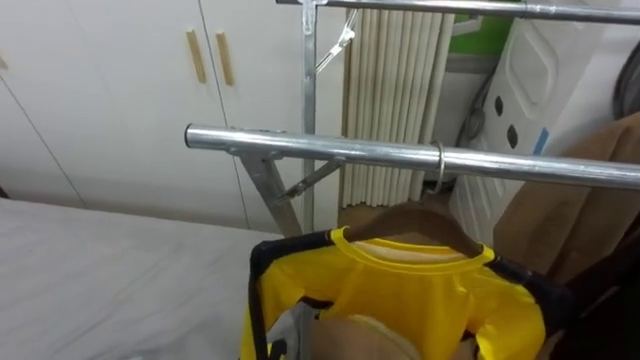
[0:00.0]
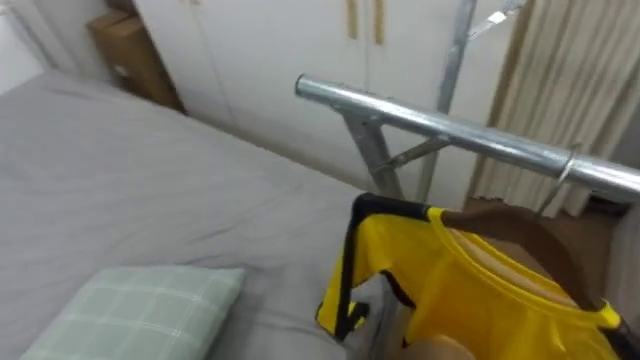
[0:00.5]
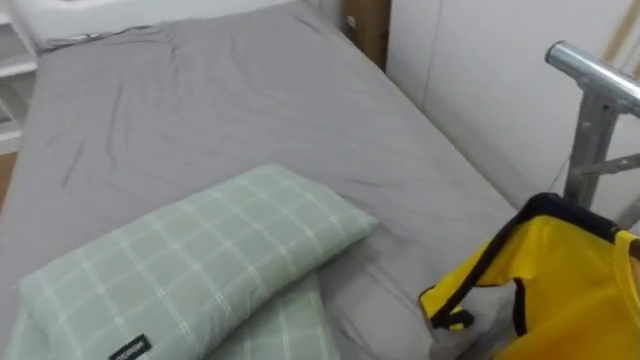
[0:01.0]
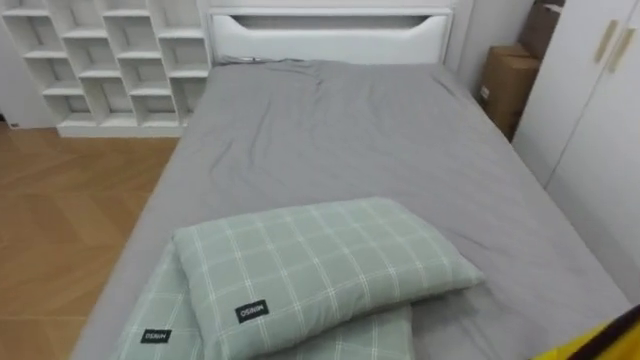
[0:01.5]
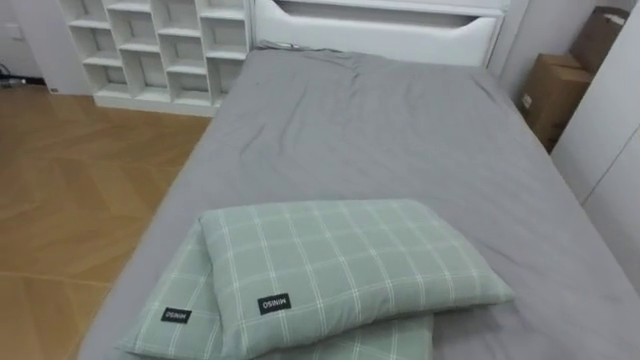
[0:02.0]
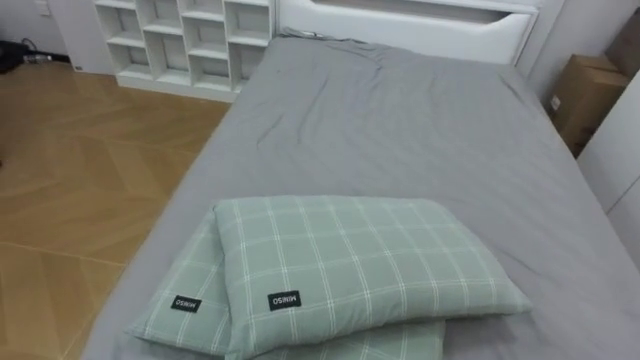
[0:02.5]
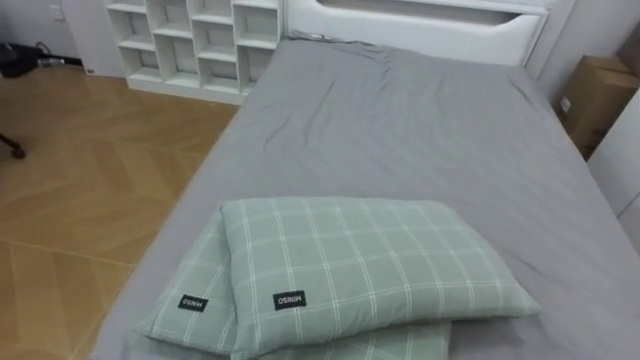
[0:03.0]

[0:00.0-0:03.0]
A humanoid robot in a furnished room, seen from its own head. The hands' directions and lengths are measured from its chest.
Task of the whole recording: Pick up the yellow shirt on the bed and hang it on the clothes rack on the right.
0:00.0 to 0:01.5: The robot's body swings about 80 degrees to its left.

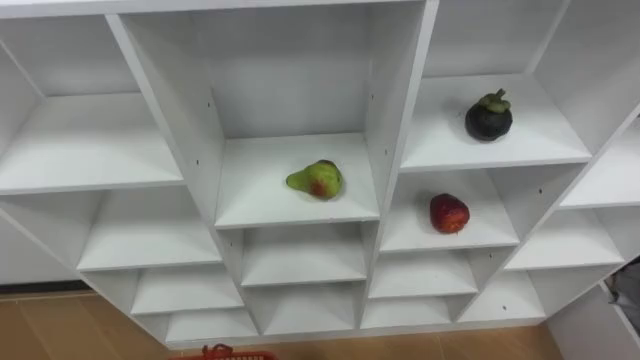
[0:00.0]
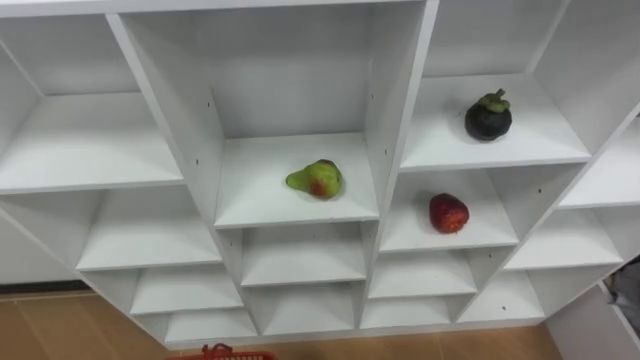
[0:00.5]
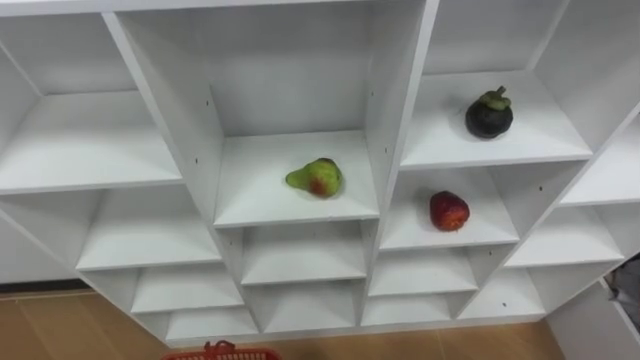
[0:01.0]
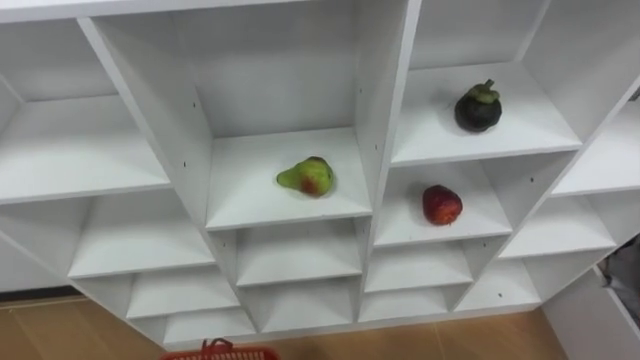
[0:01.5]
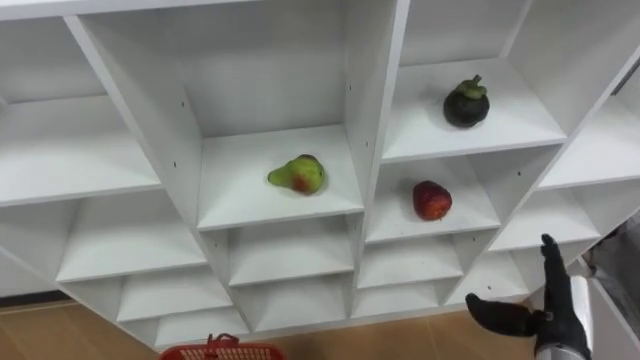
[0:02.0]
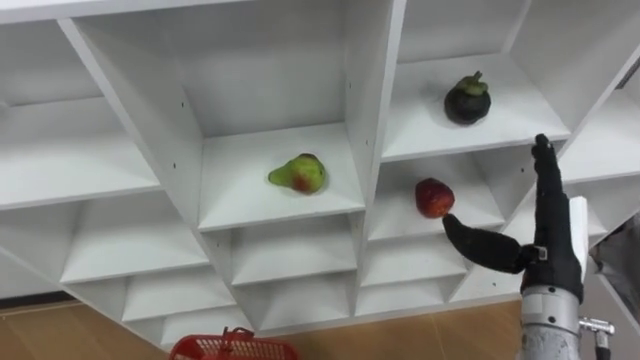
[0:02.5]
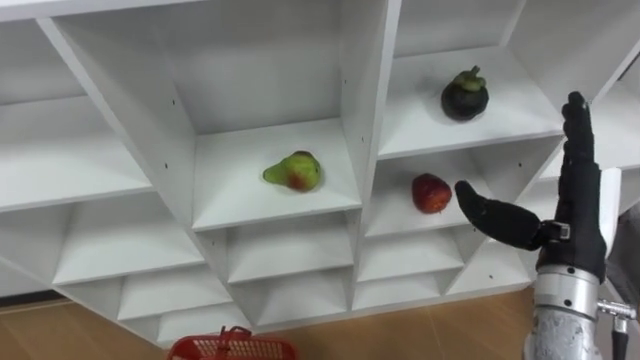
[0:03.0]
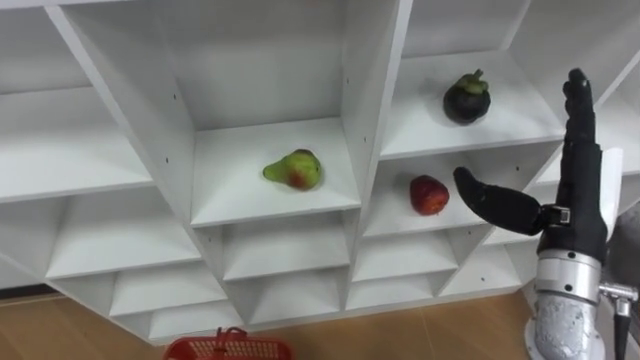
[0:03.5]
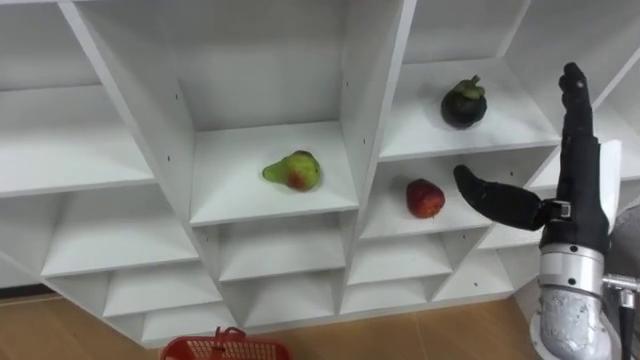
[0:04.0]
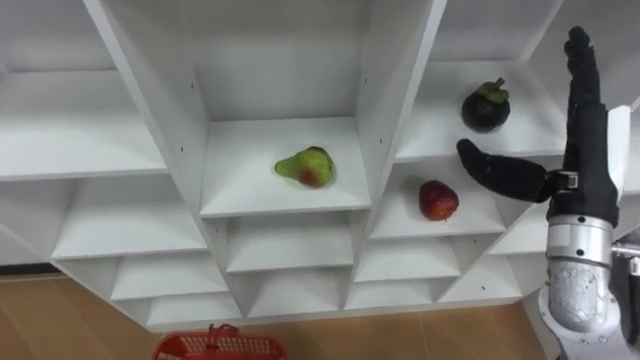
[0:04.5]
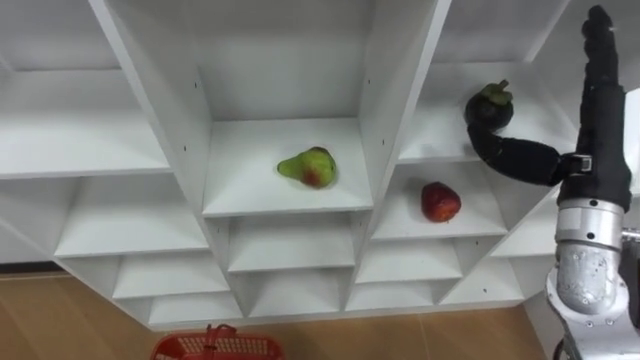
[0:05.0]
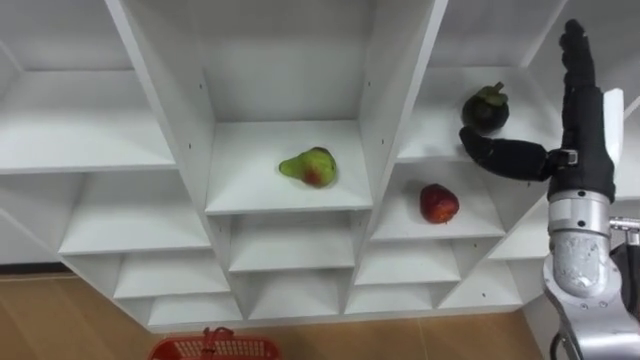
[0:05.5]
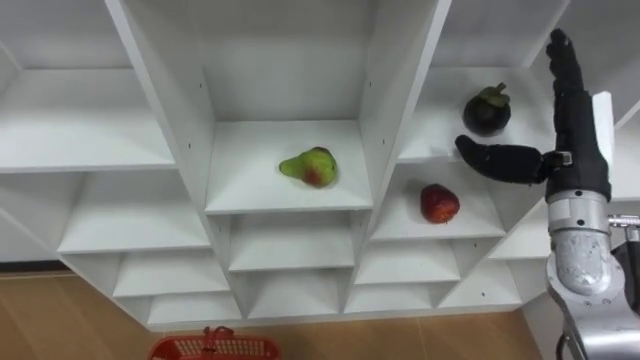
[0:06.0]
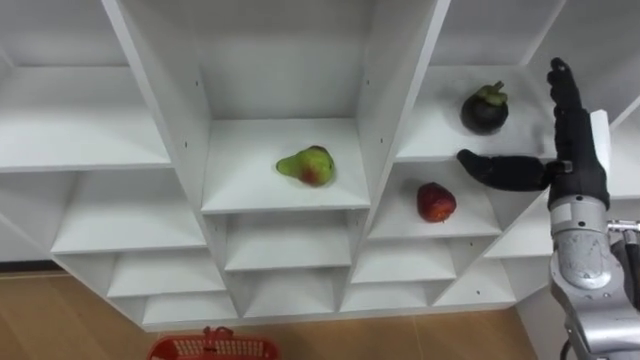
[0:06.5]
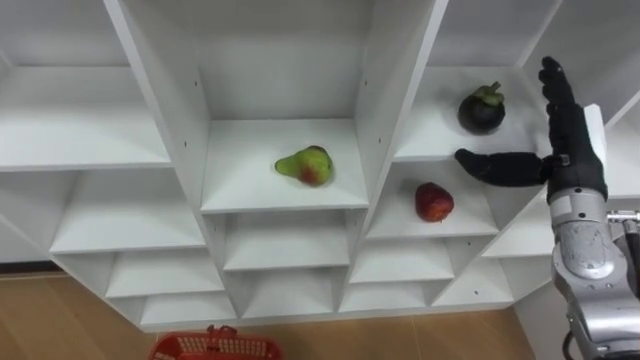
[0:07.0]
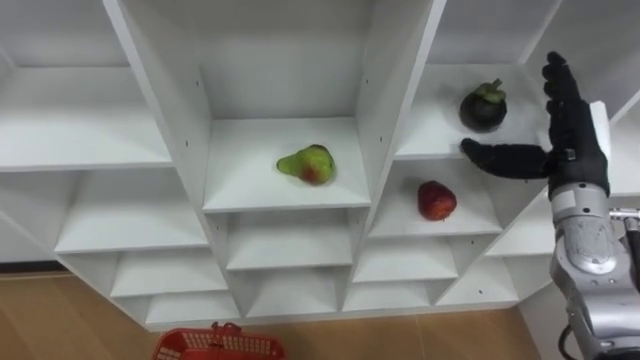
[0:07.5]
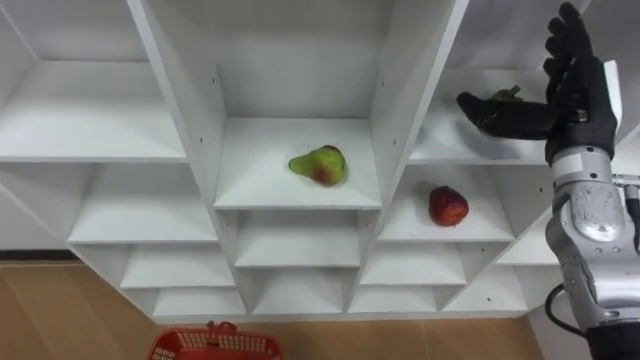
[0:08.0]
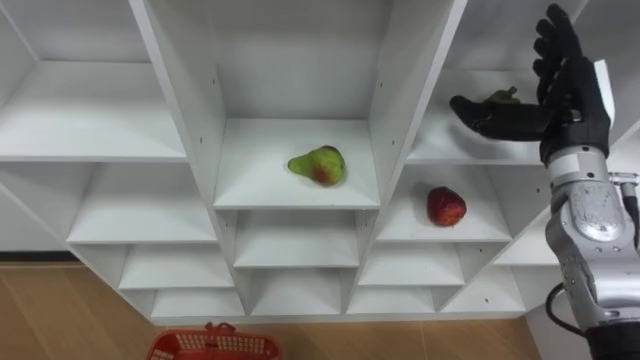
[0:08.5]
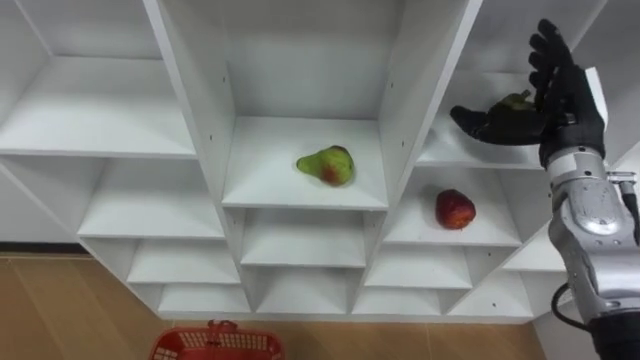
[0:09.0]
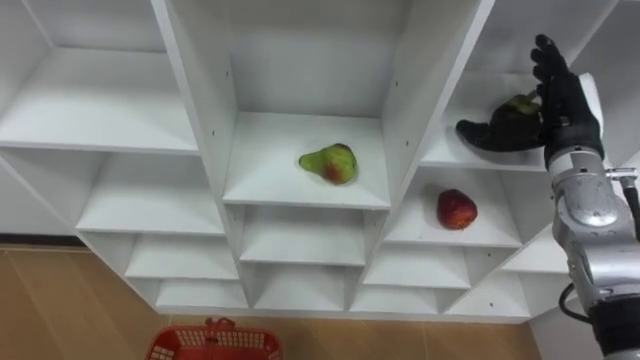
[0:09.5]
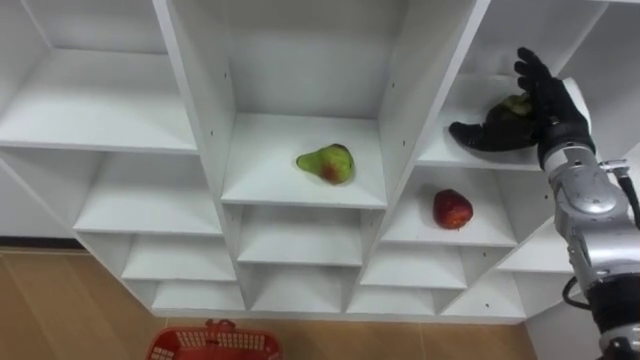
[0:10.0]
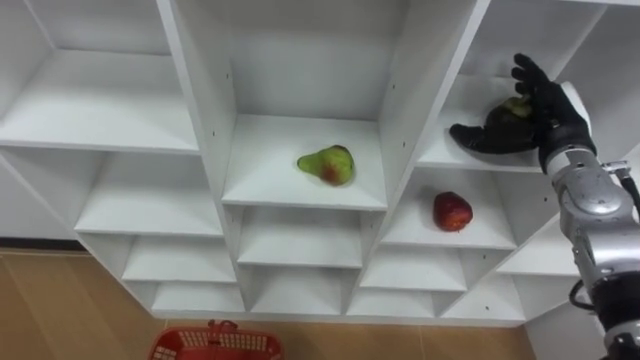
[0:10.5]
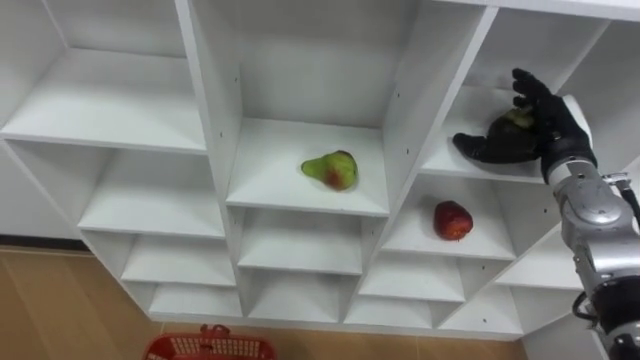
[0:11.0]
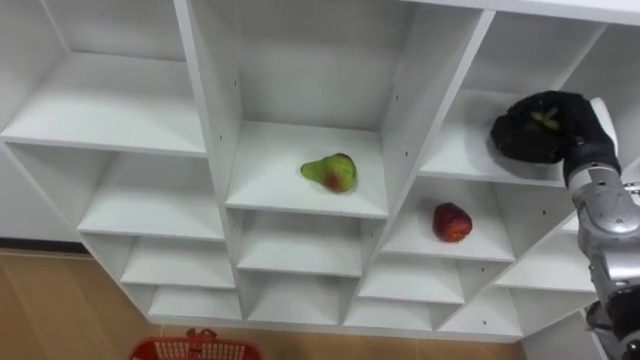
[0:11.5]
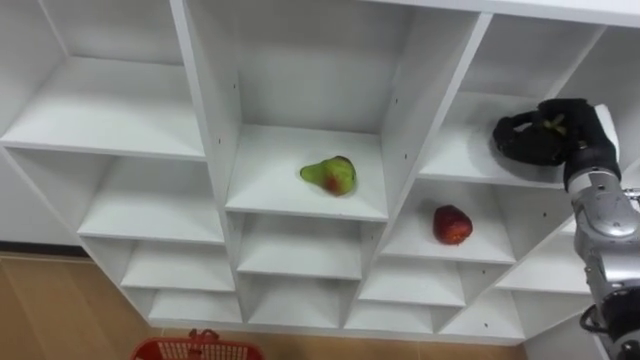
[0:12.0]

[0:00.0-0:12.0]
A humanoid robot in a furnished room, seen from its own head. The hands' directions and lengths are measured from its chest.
Task of the whole recording: Hold the basket and collect the fruits from 3 different cells of the closet into it.
0:02.0 to 0:04.0: The right hand shifts about 20 cm upward and forward.
0:04.0 to 0:06.0: The right hand shifts some 5 cm forward.
0:08.0 to 0:10.0: The right hand changes place by some 5 cm.
0:10.0 to 0:12.0: The right hand changes place by approximately 5 cm, and closes its fingers.

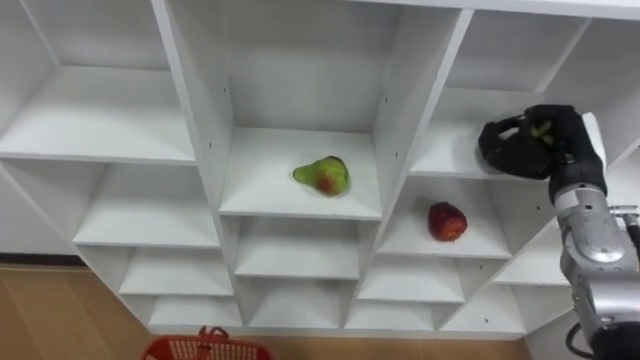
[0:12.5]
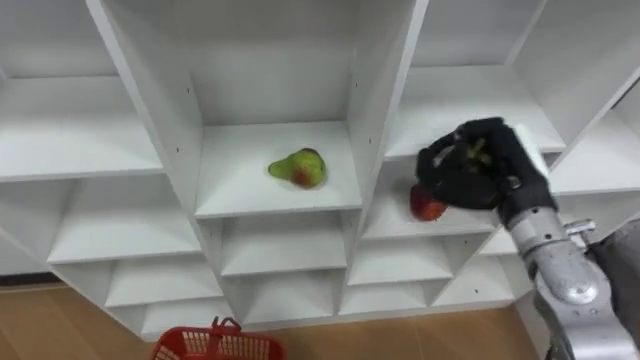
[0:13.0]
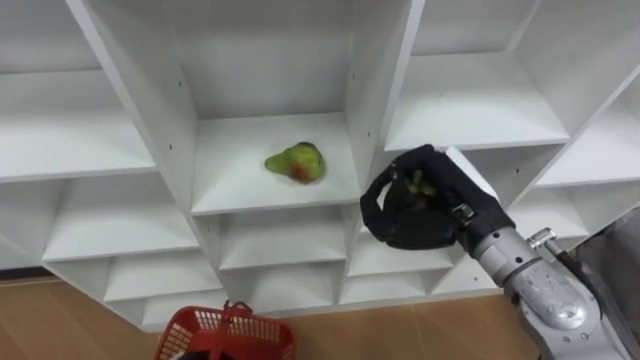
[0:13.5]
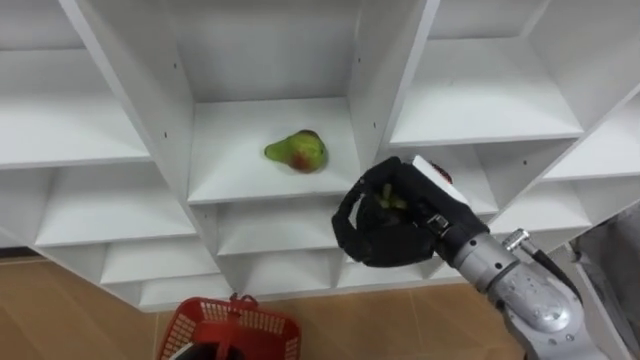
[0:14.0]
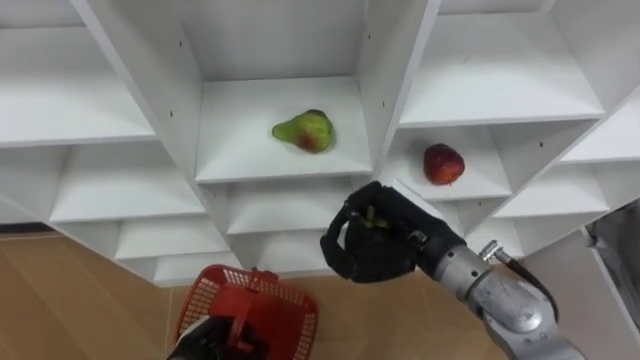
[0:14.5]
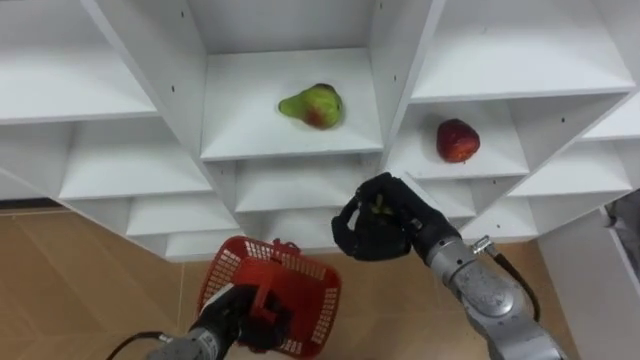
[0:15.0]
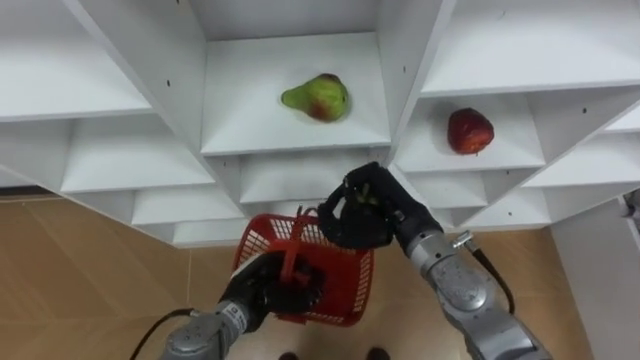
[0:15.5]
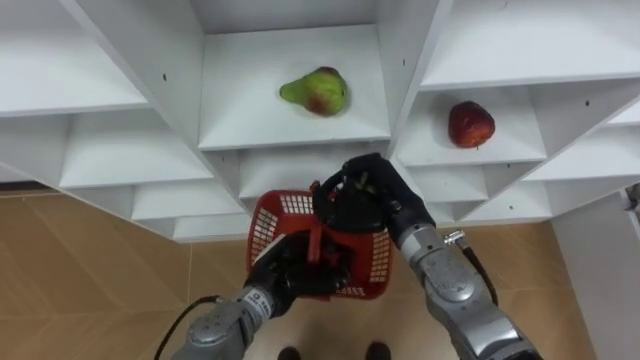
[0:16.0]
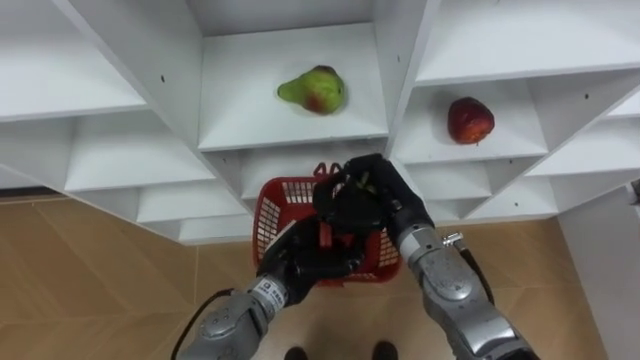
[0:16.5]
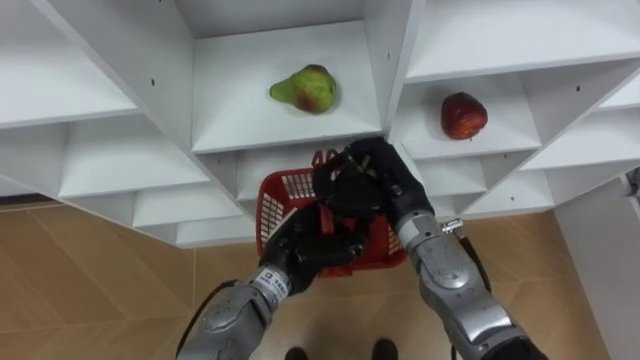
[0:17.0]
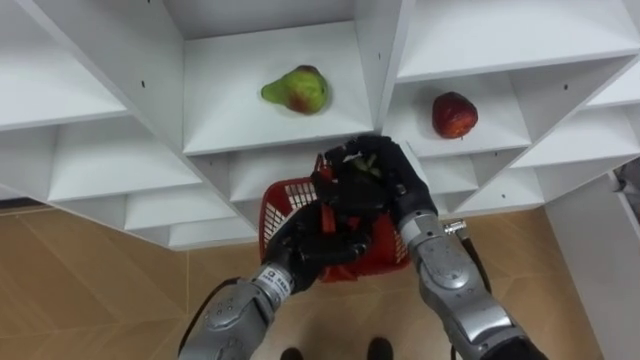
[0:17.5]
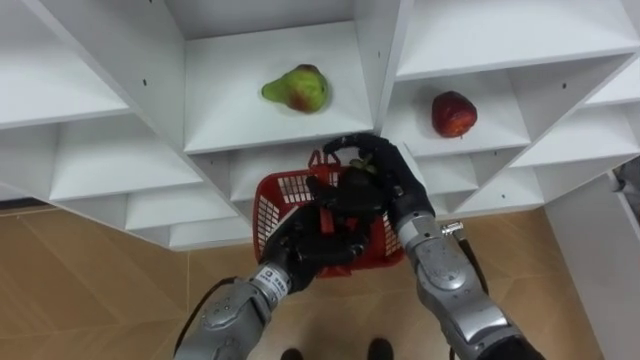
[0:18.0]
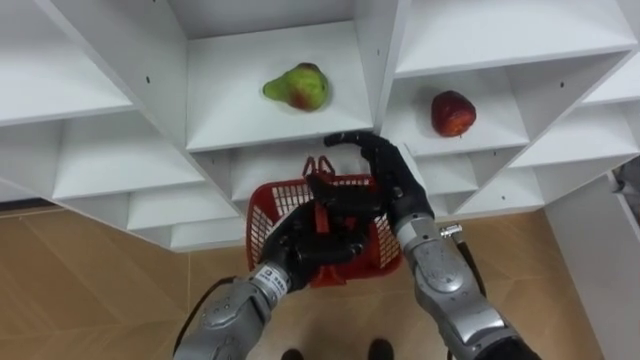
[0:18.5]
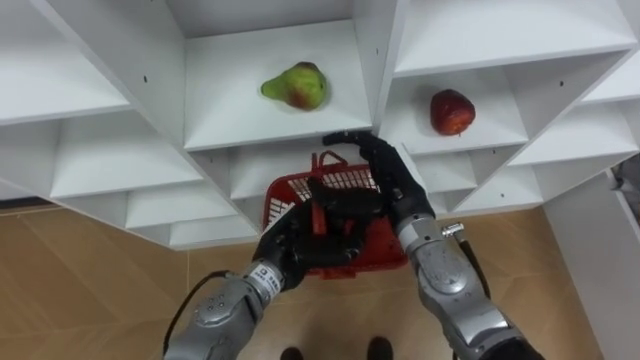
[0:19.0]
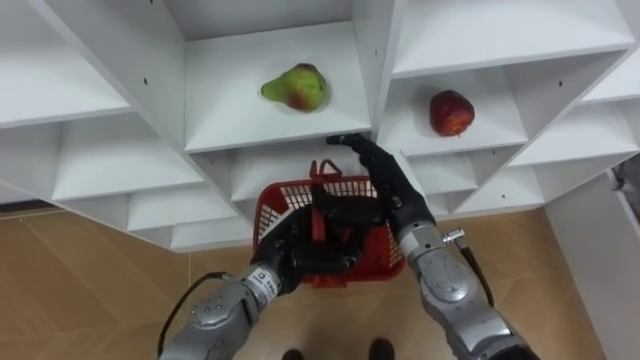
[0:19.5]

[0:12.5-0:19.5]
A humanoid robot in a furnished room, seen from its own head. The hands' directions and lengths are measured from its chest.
Task of the whole recording: Hold the basket and collect the fruits from 3 different cells of the closet into it.
0:12.5 to 0:14.5: The right hand shifts roughly 20 cm to the left and backward.
0:14.5 to 0:16.0: The left hand is displaced to the right, upward and forward by roughly 15 cm. The right hand ends up some 5 cm from where it was.
0:16.0 to 0:17.5: The left hand changes place by approximately 5 cm.
0:17.5 to 0:19.5: The right hand opens.
